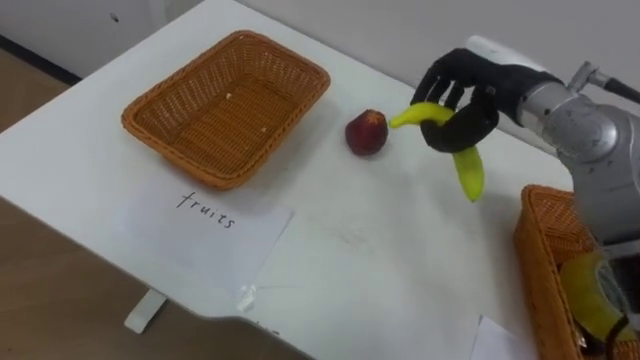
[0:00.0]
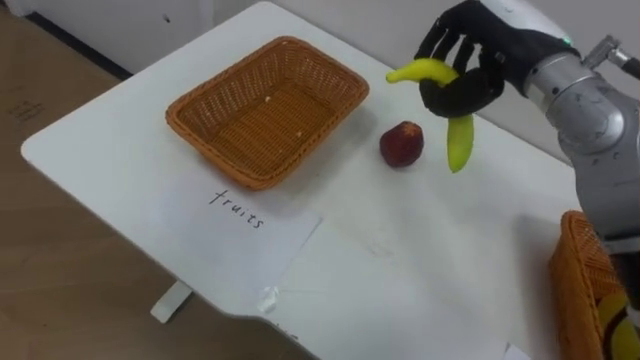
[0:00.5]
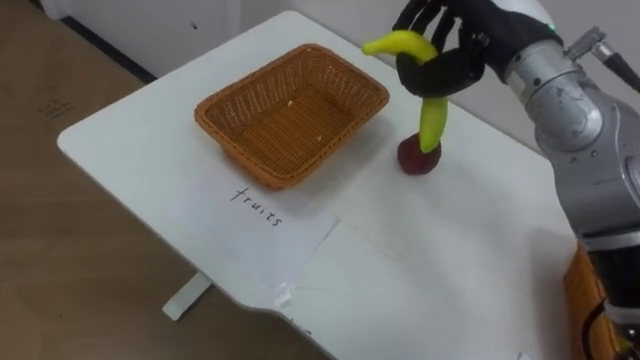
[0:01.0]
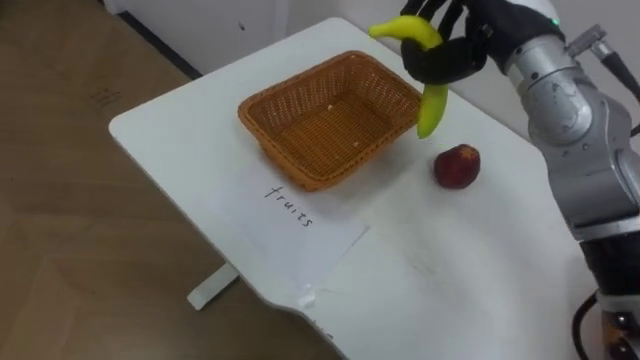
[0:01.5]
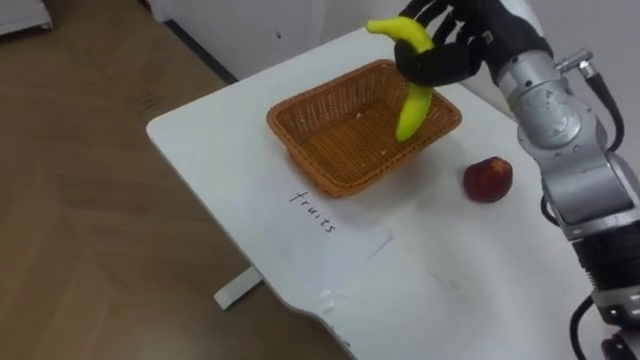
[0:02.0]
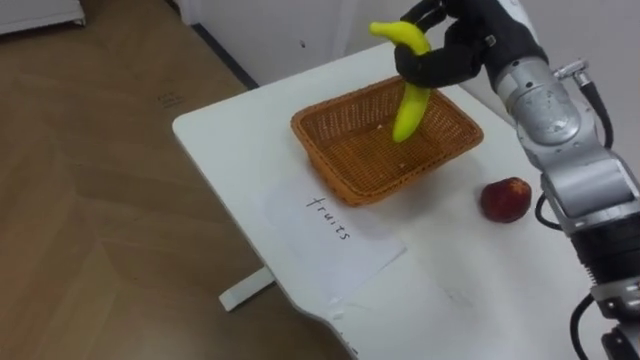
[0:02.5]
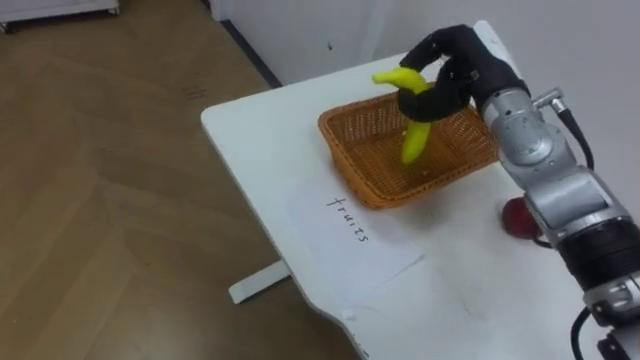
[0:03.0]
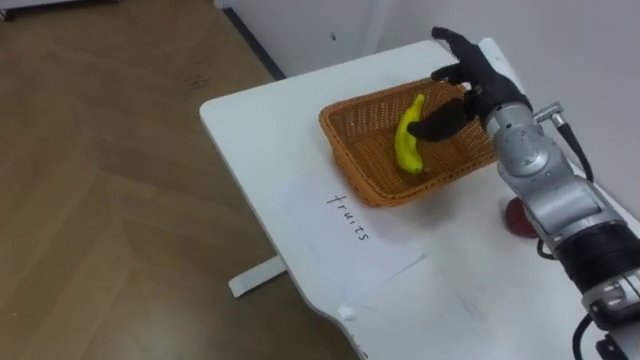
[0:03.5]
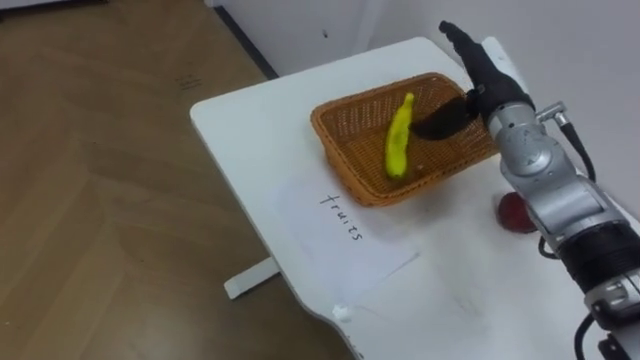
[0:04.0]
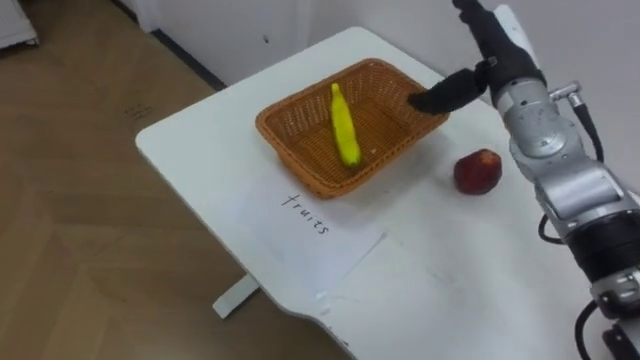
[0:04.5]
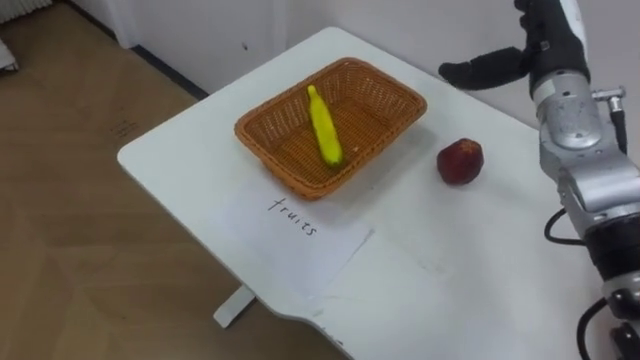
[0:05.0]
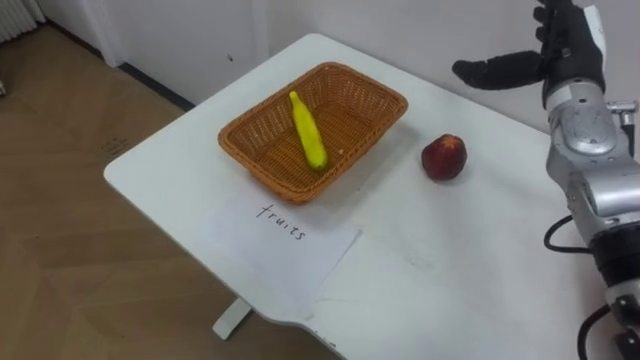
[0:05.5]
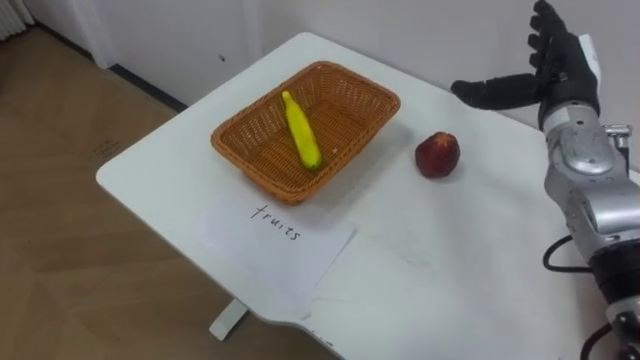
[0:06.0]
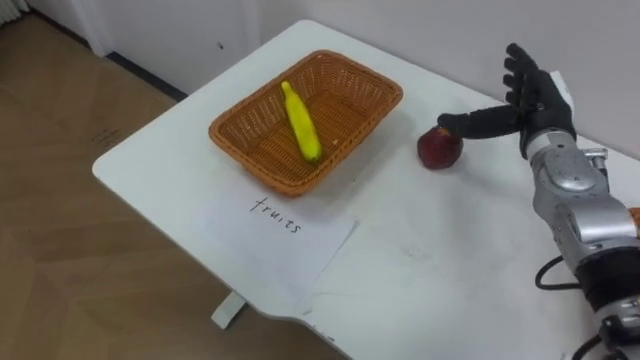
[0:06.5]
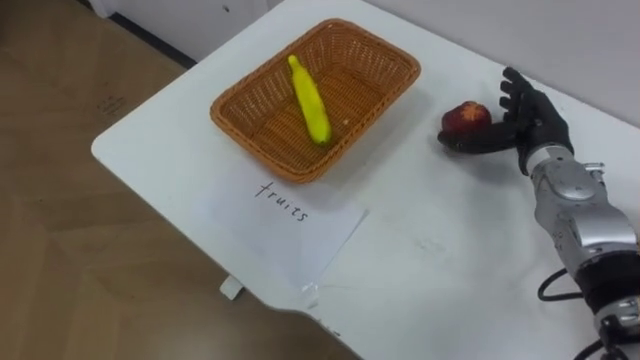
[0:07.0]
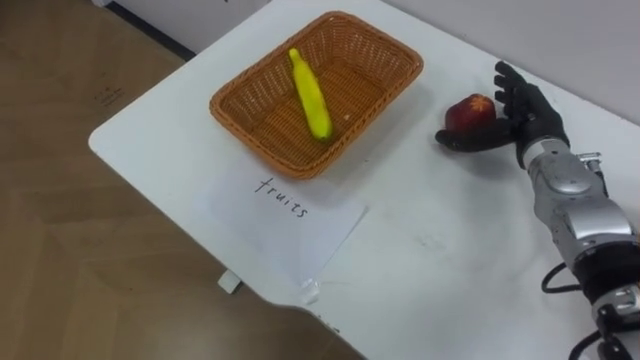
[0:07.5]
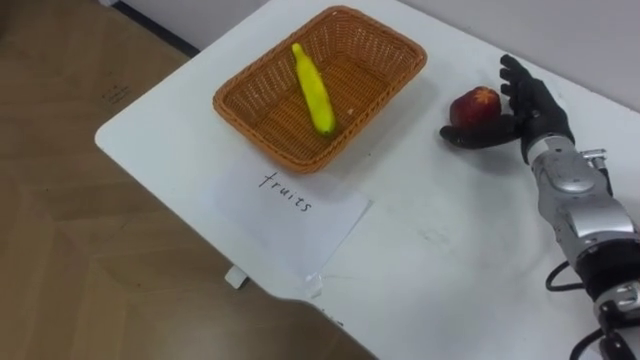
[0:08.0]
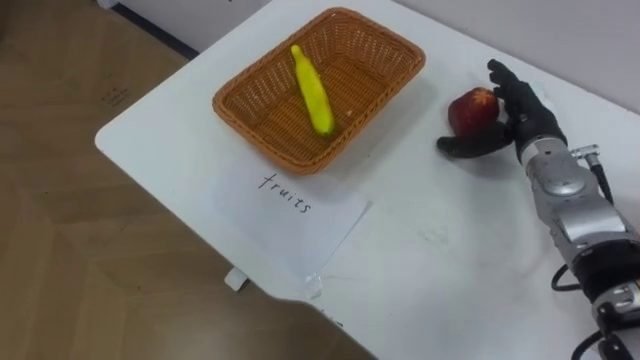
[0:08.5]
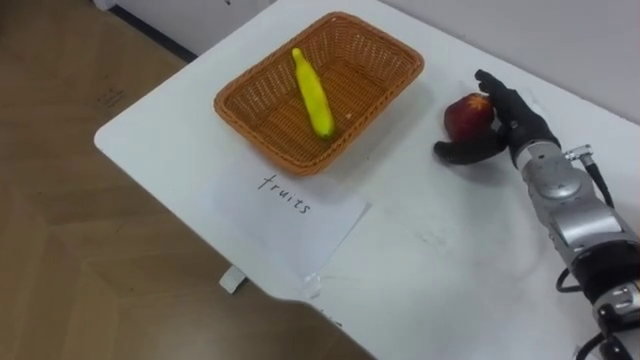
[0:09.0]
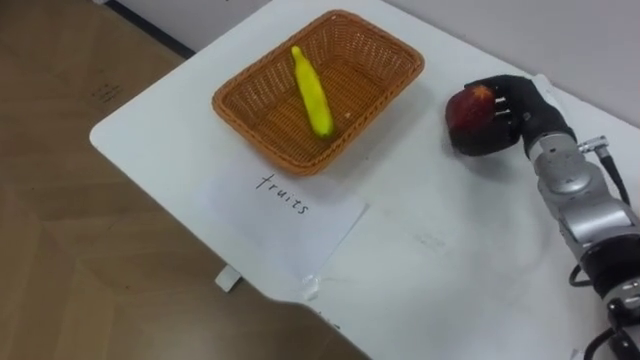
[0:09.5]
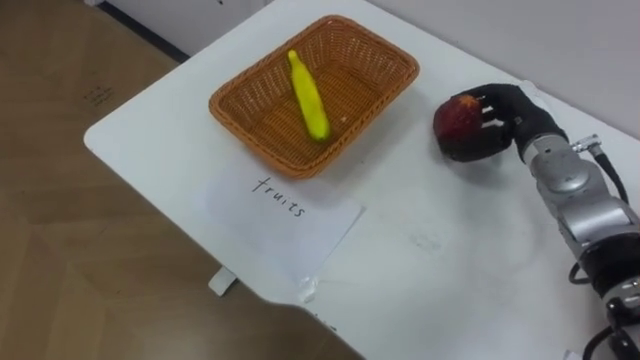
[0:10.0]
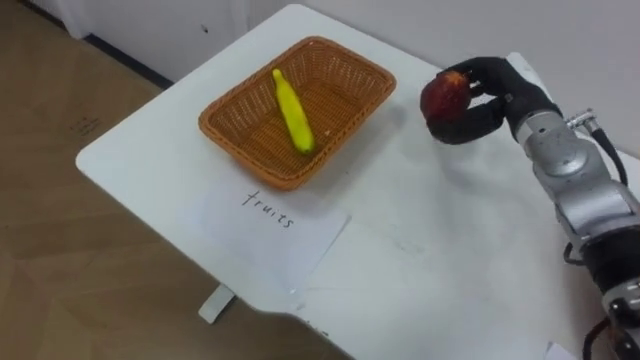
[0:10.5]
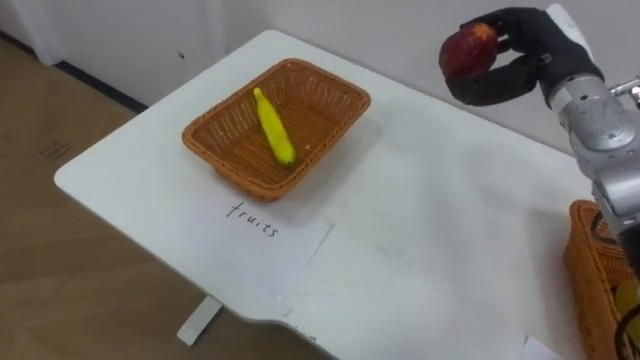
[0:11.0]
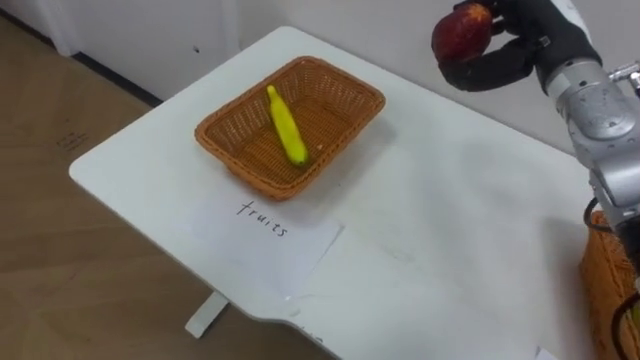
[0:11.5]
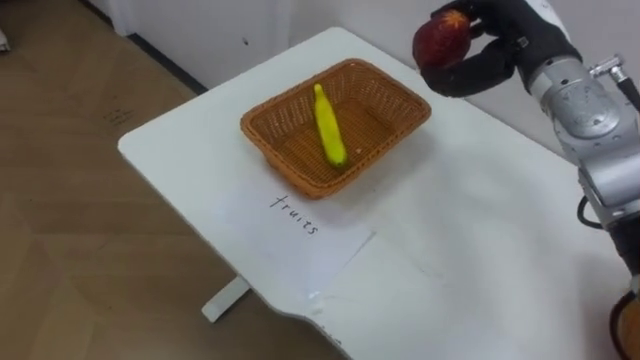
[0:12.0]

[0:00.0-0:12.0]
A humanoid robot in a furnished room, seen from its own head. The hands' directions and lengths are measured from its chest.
Task of the whole recording: Separate the items on the table and place them into the two baskets.
0:00.0 to 0:02.0: The right hand shifts approximately 5 cm upward.
0:02.0 to 0:04.0: The right hand moves downward, some 10 cm, and opens its fingers.
0:04.0 to 0:06.0: The right hand is displaced to the right by approximately 5 cm.
0:06.0 to 0:08.0: The right hand goes roughly 5 cm downward.
0:08.0 to 0:10.0: The right hand closes.
0:10.0 to 0:12.0: The right hand travels upward by approximately 10 cm.

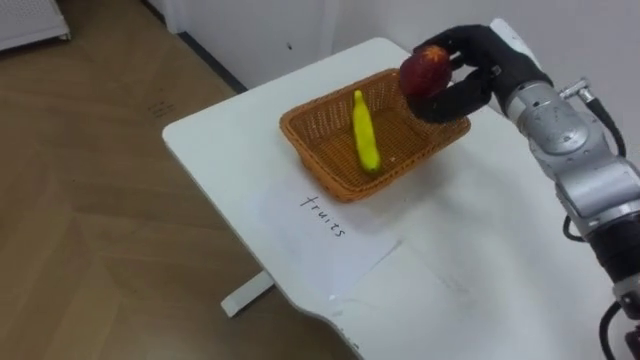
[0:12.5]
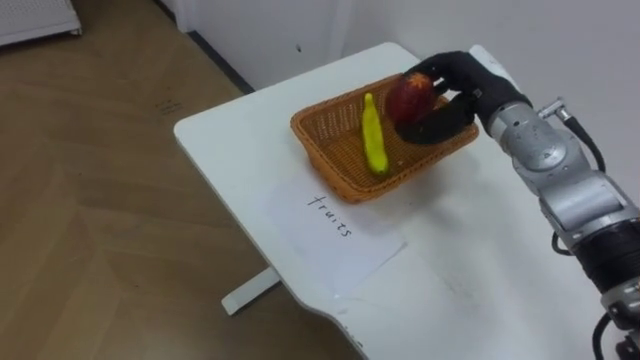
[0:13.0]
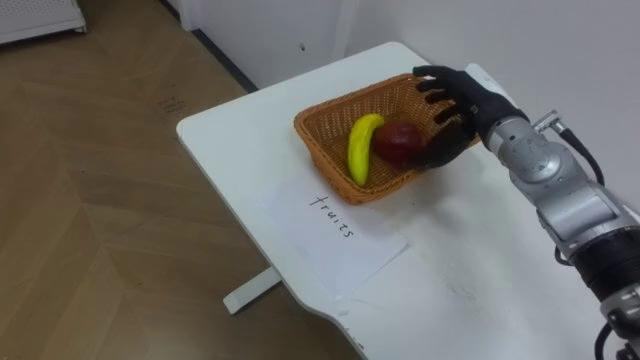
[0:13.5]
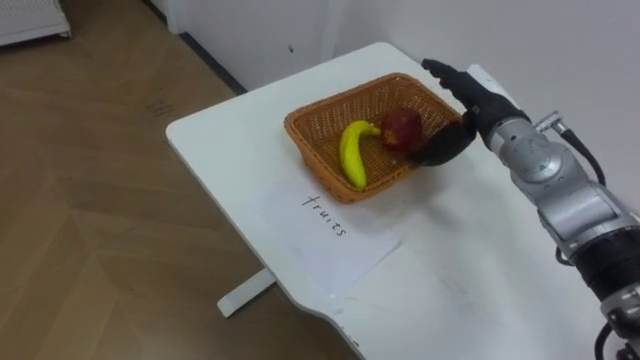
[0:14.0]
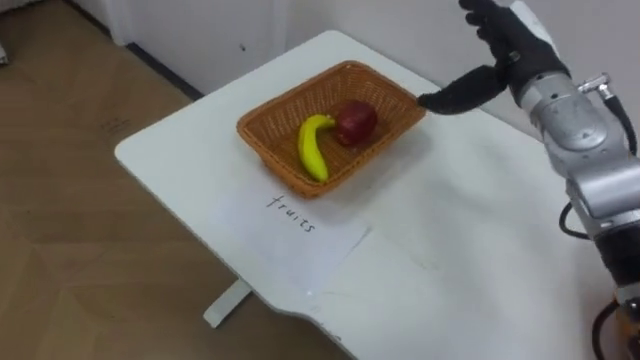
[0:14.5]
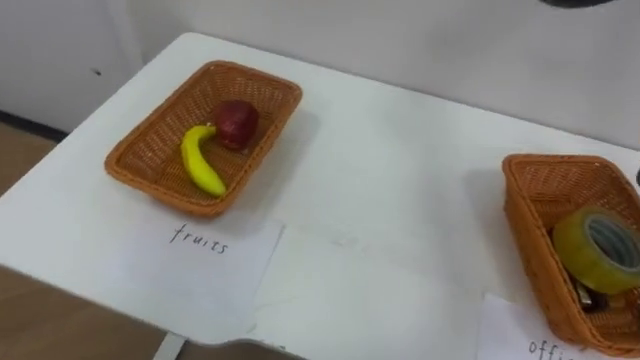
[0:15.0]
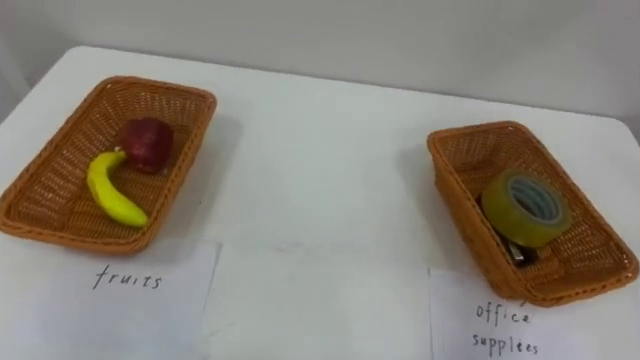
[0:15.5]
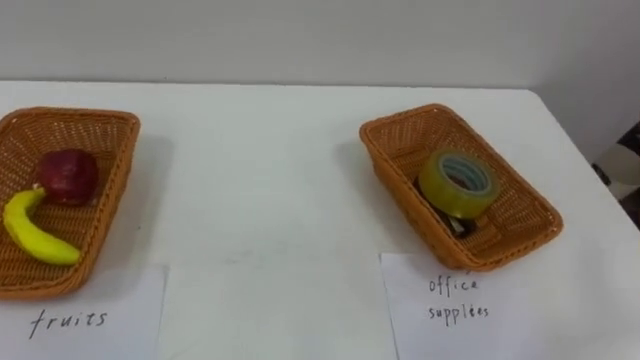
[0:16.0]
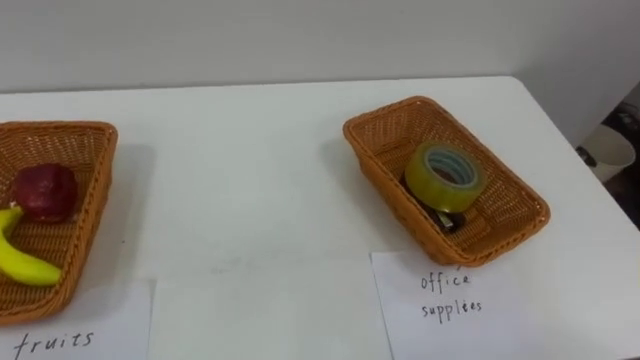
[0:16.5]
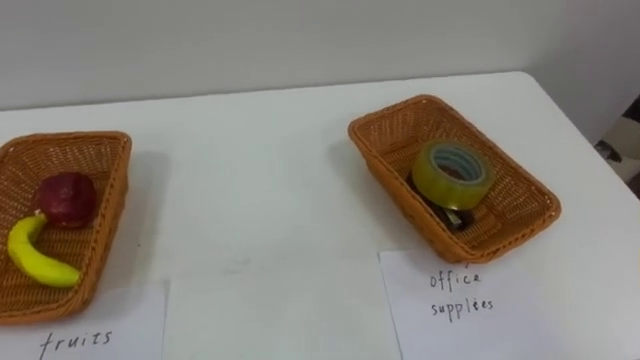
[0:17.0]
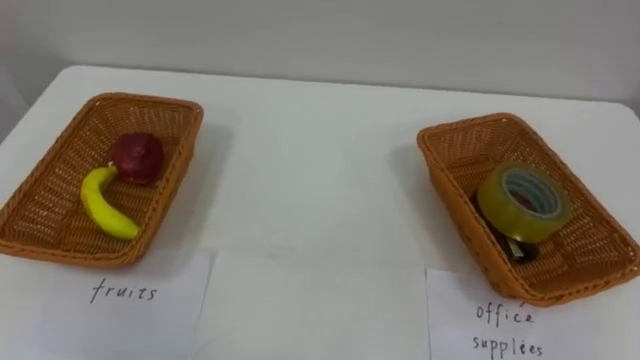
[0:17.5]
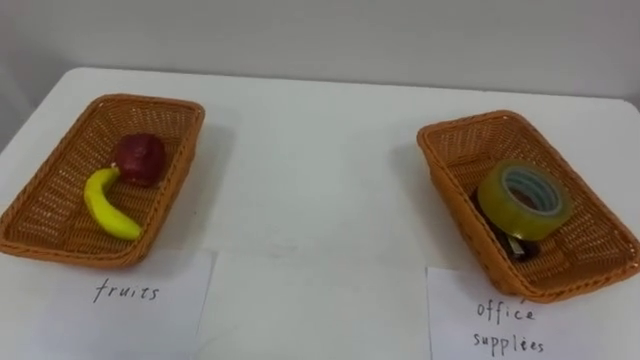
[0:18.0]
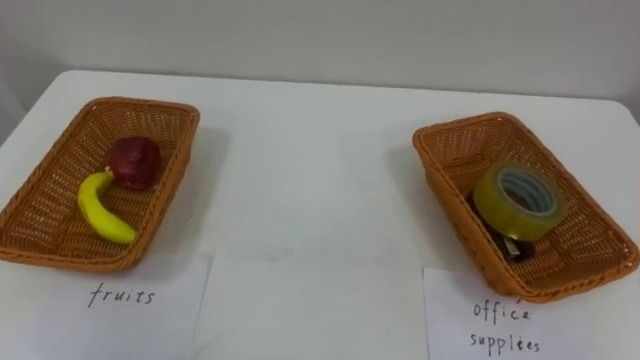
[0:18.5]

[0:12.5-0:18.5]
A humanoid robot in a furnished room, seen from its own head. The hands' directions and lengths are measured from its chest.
Task of the whole recording: Separate the items on the table and place them into the two baskets.
0:12.5 to 0:14.5: The right hand opens.

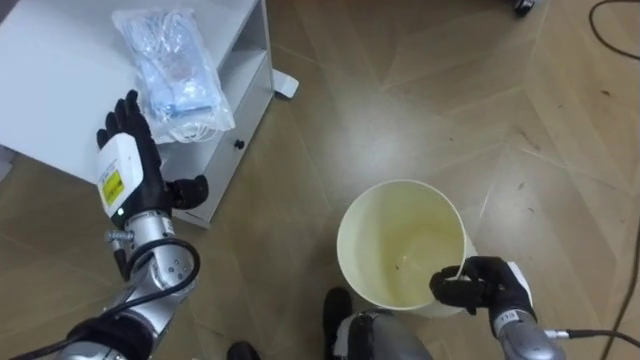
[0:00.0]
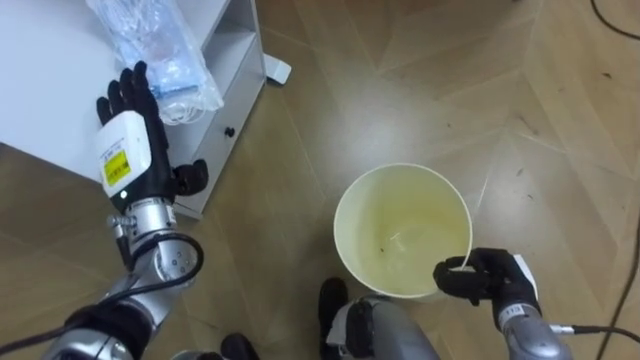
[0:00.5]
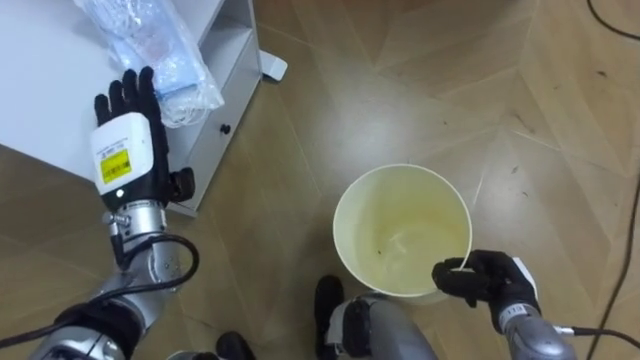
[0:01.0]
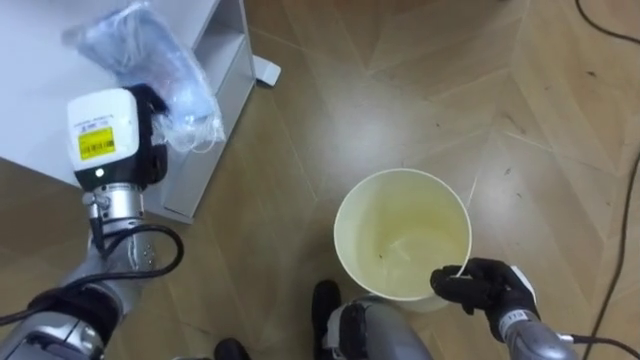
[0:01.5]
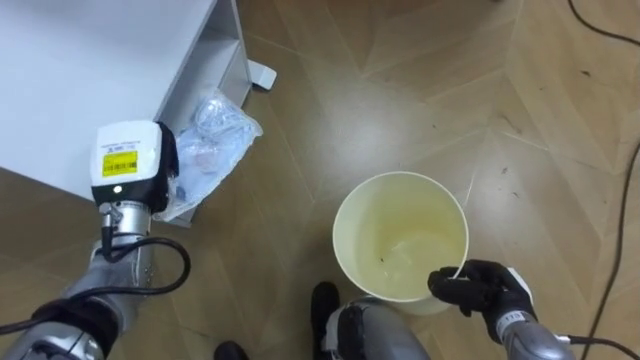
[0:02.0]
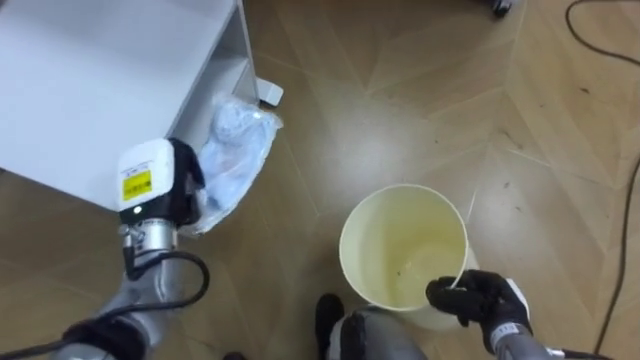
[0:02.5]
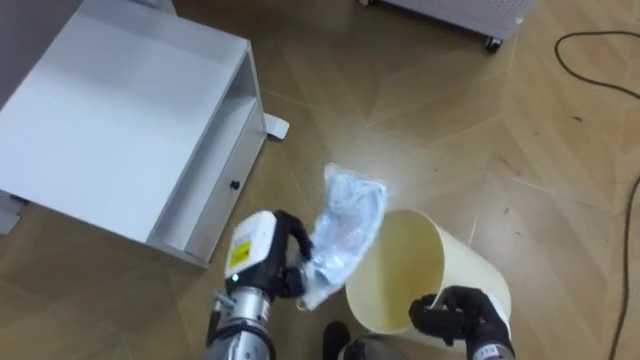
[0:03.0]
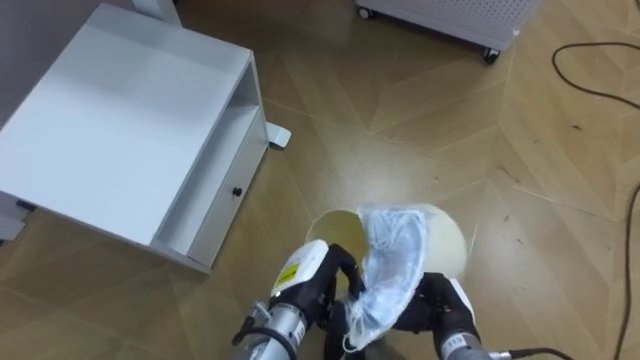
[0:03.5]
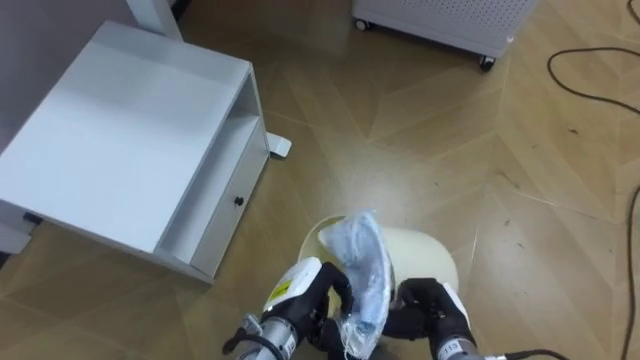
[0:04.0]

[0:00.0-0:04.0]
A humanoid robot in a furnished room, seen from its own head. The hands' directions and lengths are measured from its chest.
Task of the whole recording: Pick up the light blue package, the candy box, and the dark blue package separately, and put them into the trash can held in your right hand.
0:00.0 to 0:02.0: The left hand closes its fingers.
0:02.0 to 0:04.0: The left hand travels to the right, downward and backward by approximately 25 cm; the right hand moves to the left, approximately 10 cm.
